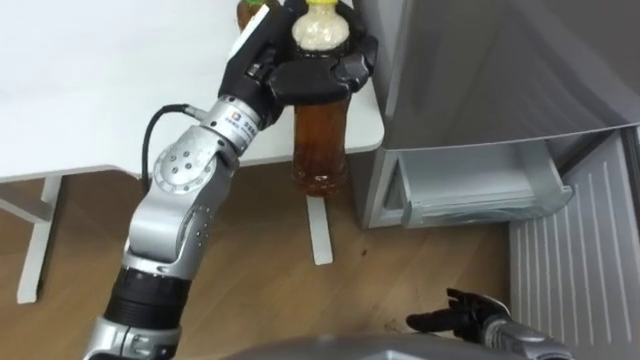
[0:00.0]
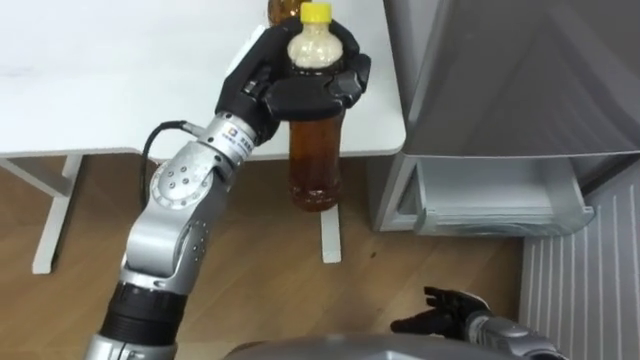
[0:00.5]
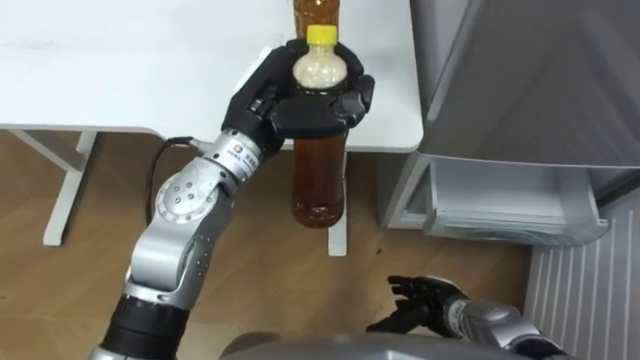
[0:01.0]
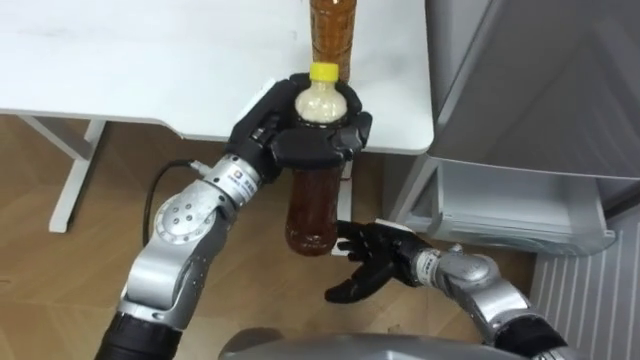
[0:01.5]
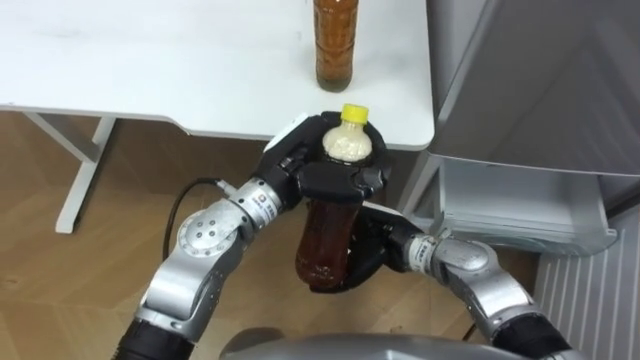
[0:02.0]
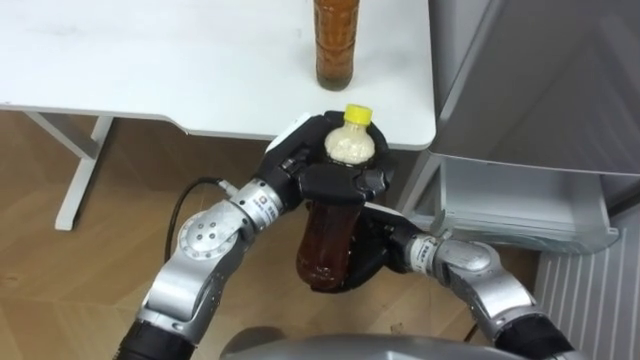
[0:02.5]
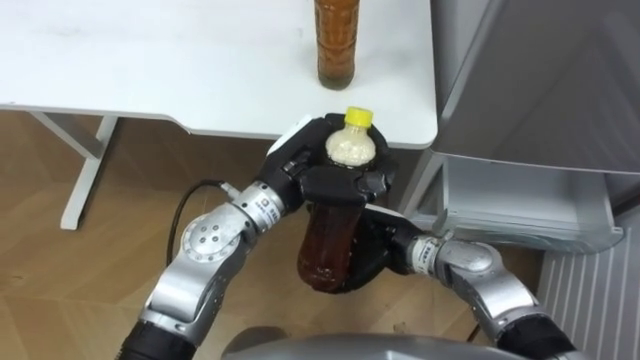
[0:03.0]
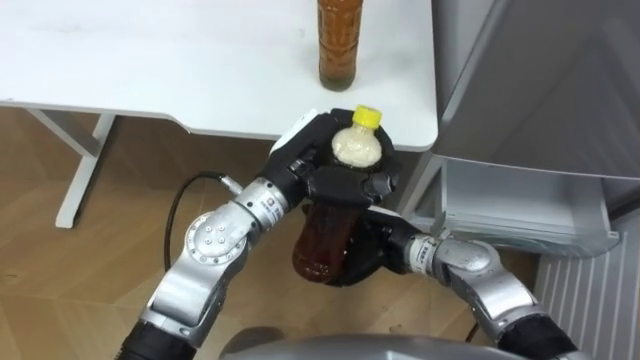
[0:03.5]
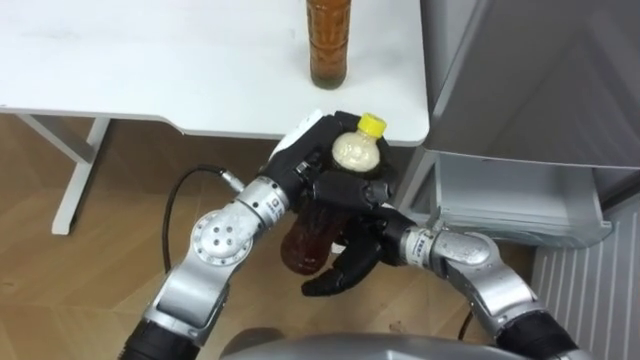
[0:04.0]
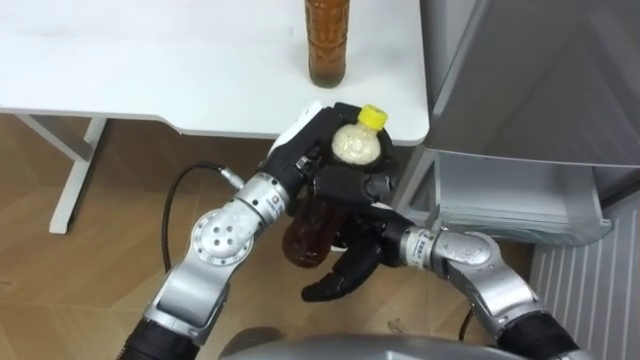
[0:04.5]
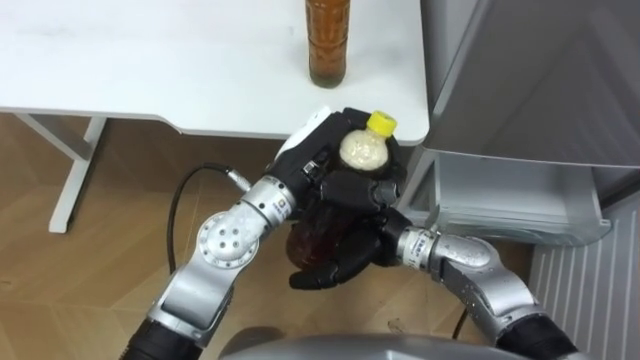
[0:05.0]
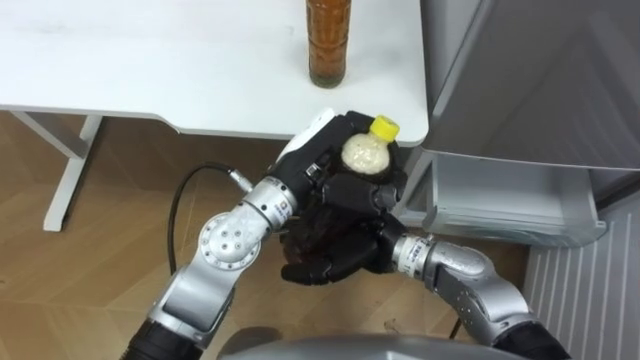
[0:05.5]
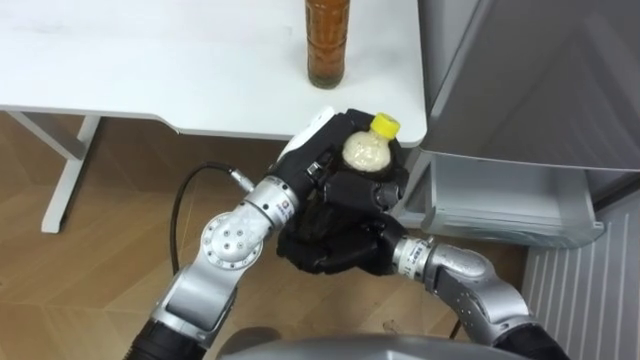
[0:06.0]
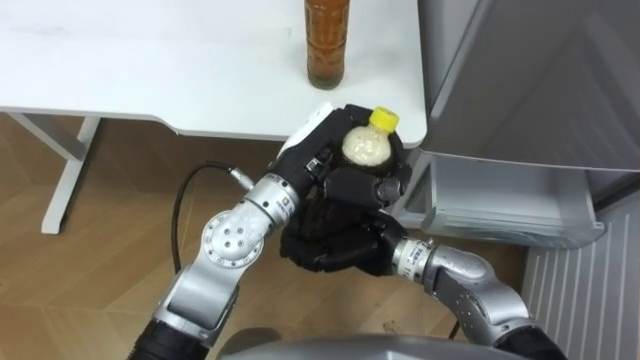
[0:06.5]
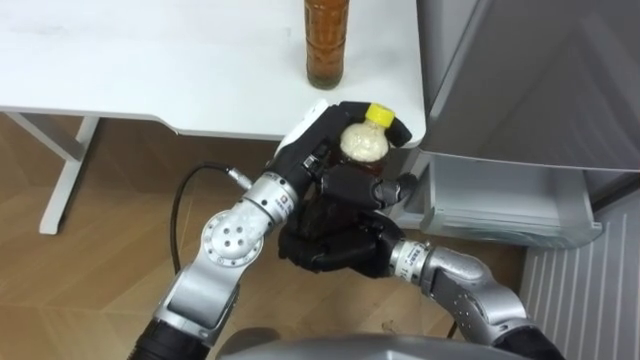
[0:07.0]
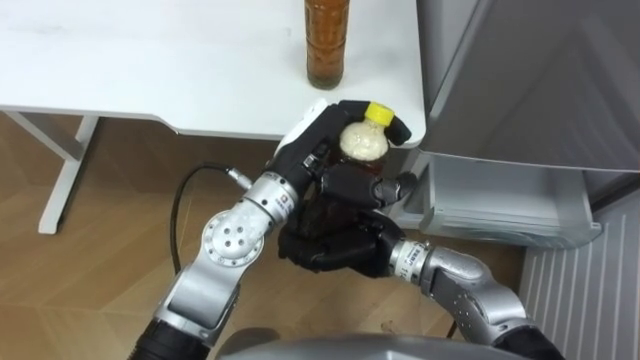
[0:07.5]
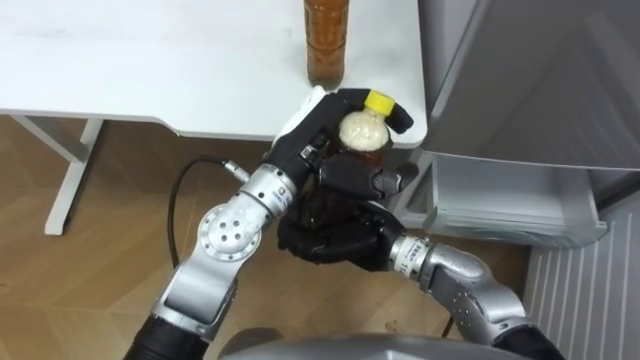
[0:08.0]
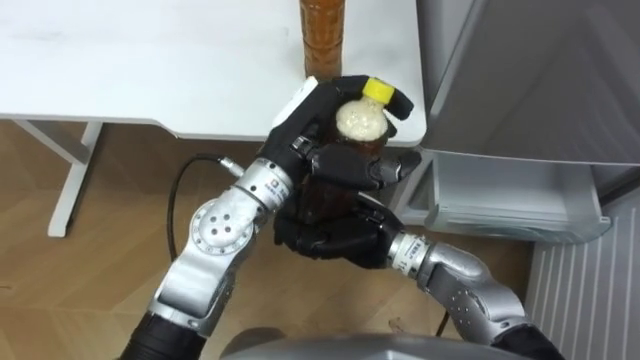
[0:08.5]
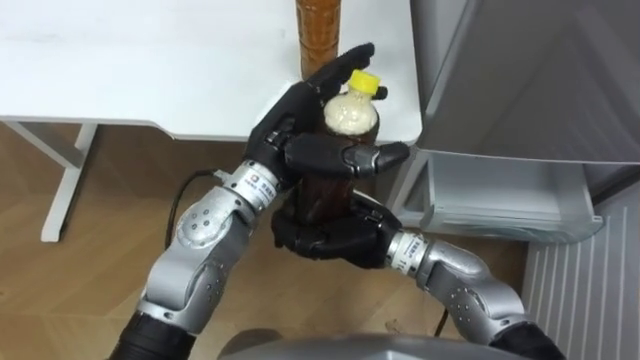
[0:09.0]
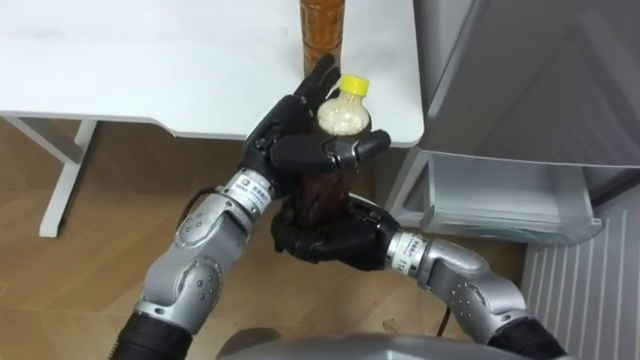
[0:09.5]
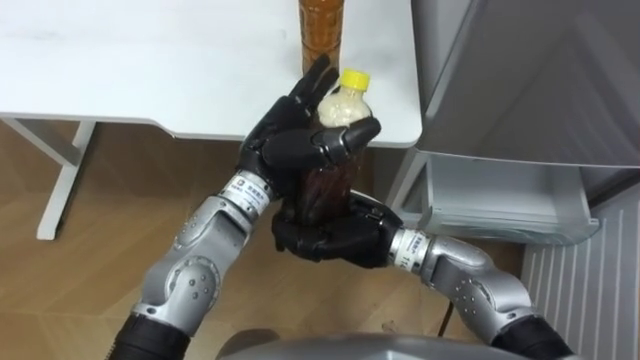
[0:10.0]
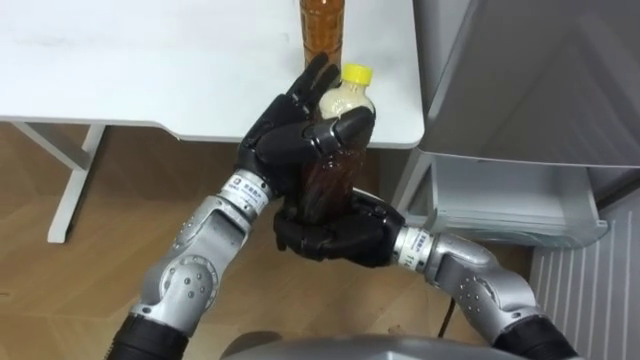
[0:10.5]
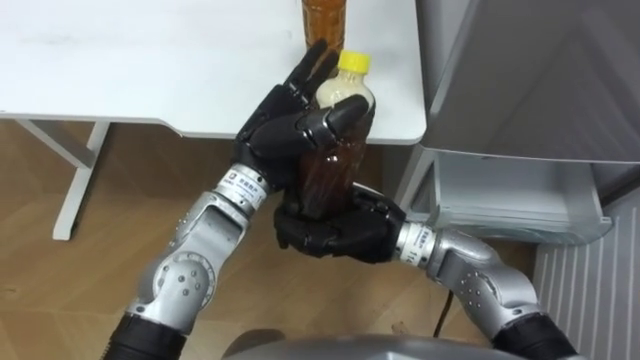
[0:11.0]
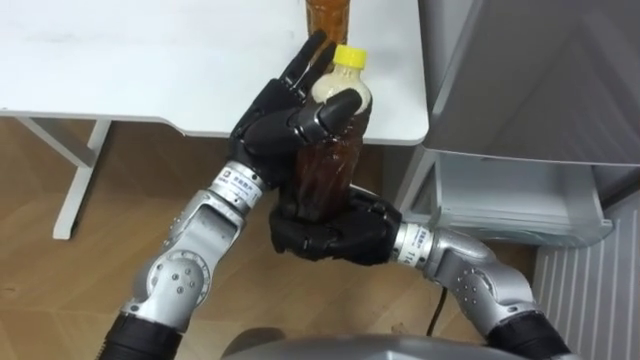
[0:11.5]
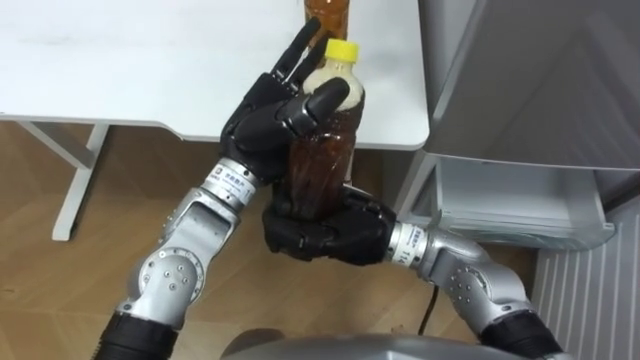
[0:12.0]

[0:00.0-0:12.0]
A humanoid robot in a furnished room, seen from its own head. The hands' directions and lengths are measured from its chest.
Task of the whole recording: Place the drink on the table on the bottom shelf of the refrigerator, then close the drawer and the refrigerator door.
0:00.0 to 0:02.0: The right hand heads to the left, upward and forward, covering roughly 25 cm. The left hand travels downward and backward by about 10 cm.
0:04.0 to 0:06.0: The right hand closes.
0:06.0 to 0:08.0: The hands stay close to where they were, moving slightly.
0:08.0 to 0:10.0: The left hand opens up.

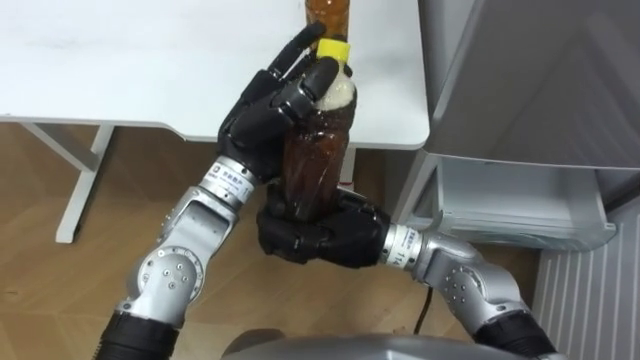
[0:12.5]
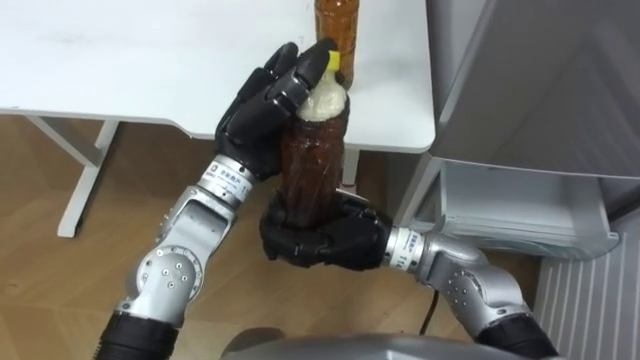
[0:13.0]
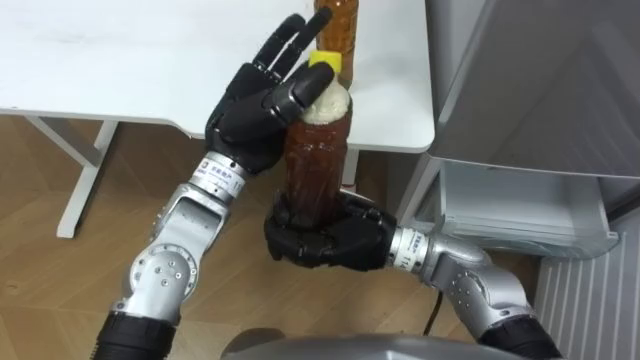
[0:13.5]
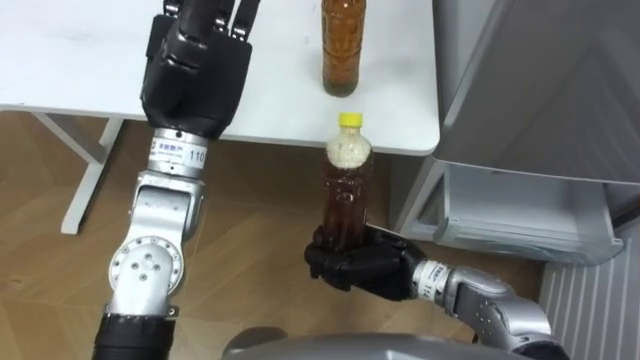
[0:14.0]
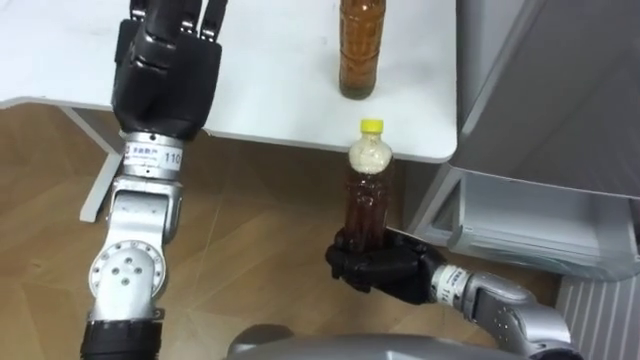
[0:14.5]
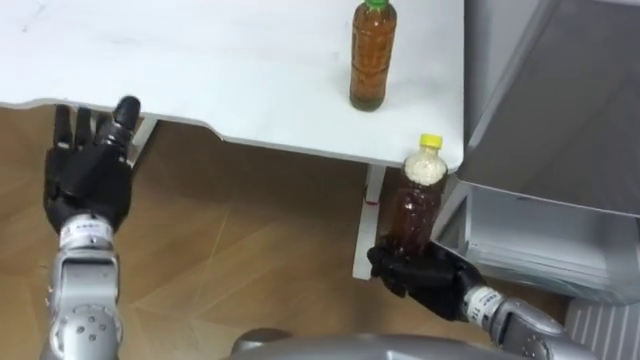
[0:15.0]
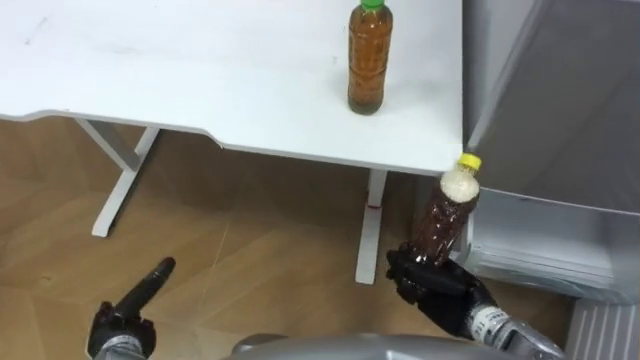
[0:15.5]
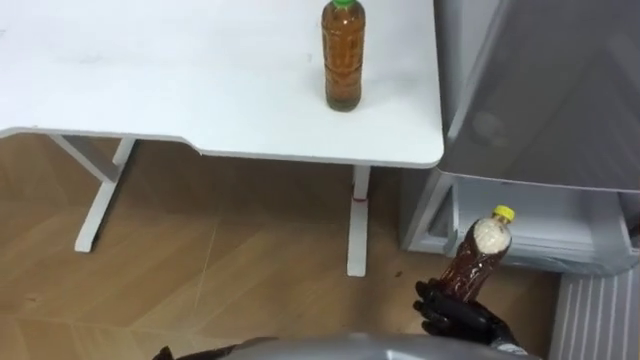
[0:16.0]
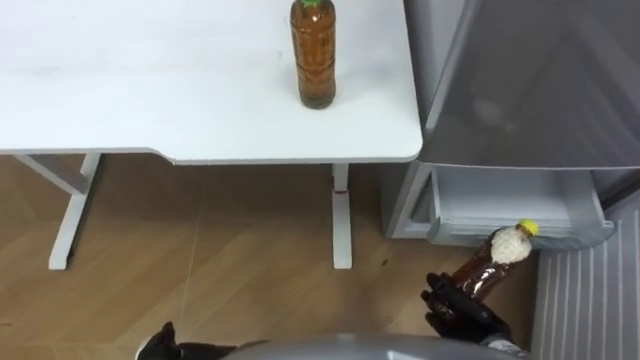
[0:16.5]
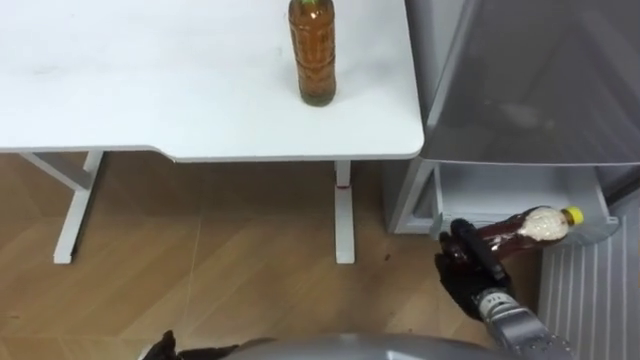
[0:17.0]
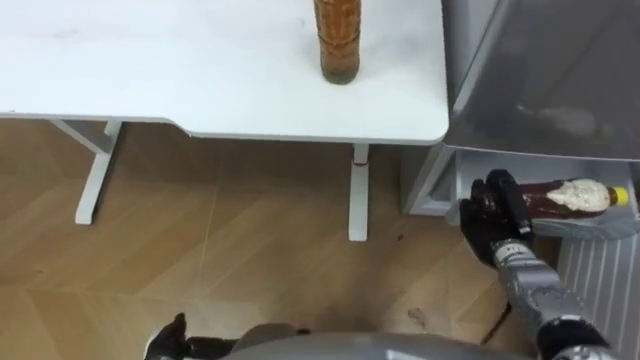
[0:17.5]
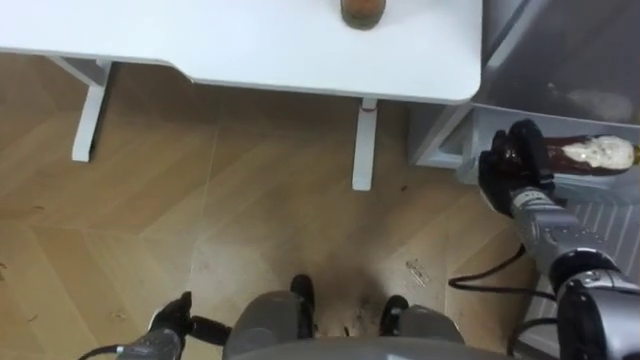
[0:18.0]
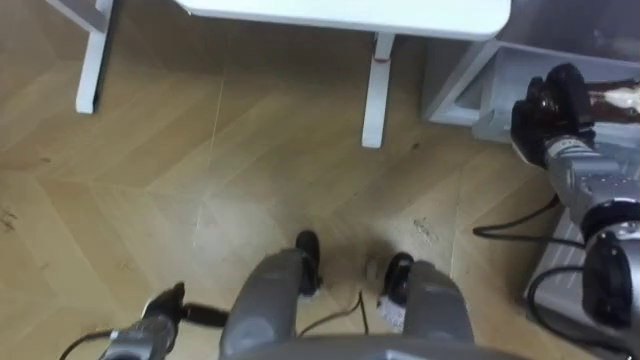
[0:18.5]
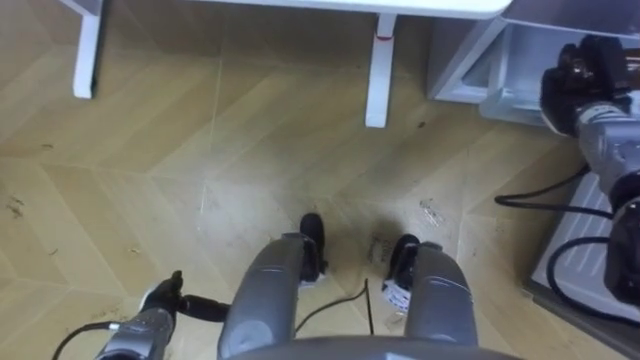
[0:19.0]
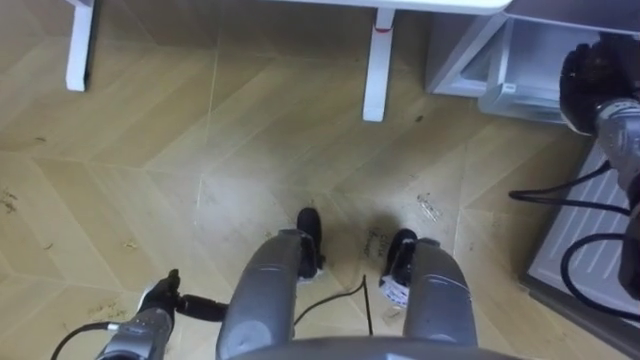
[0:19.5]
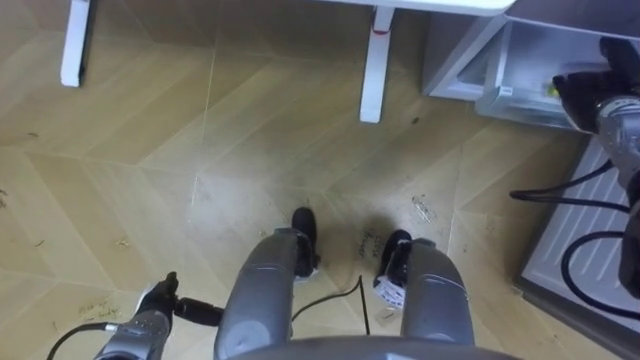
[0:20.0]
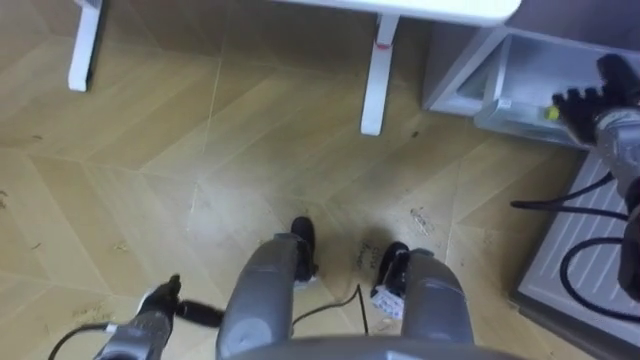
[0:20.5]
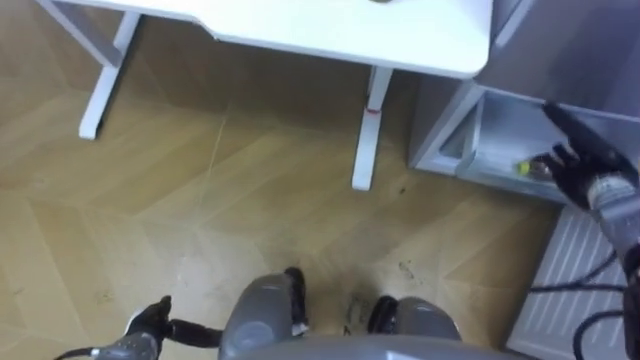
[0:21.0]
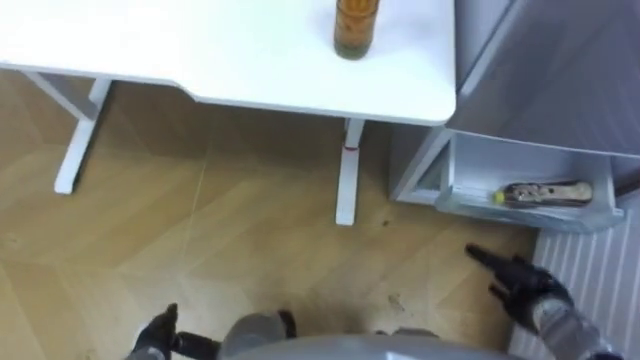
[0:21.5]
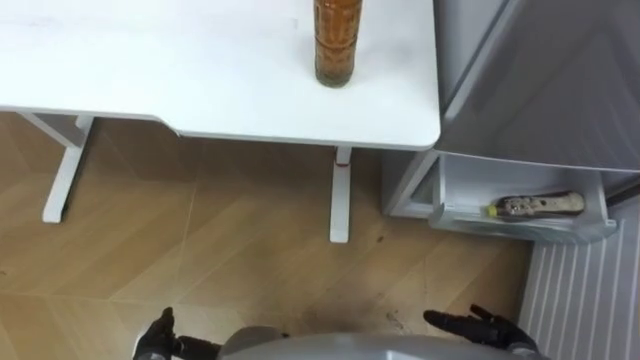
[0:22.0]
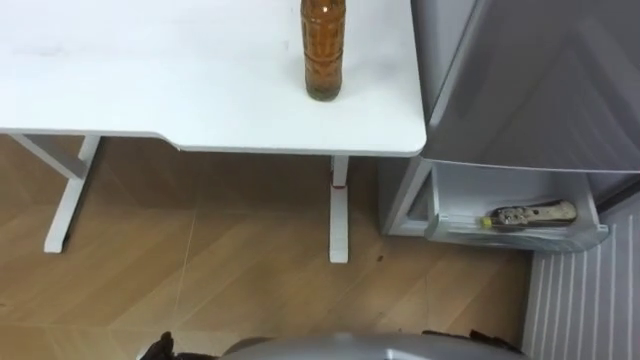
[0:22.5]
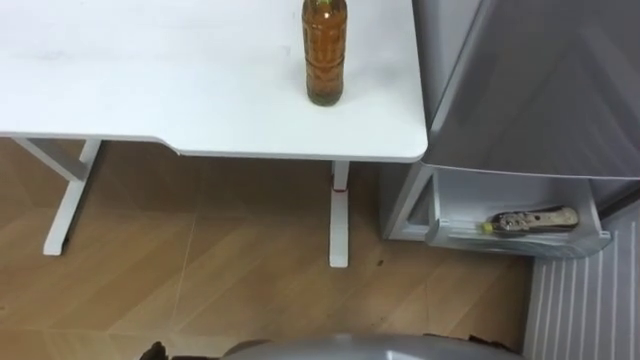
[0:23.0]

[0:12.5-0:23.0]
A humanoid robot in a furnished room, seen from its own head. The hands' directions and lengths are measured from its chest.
Task of the whole recording: Place the drink on the table on the bottom shelf of the refrigerator, then close the drawer and the refrigerator door.
0:12.5 to 0:14.5: The left hand is displaced to the left and upward by some 10 cm, and opens its fingers, while the right hand goes approximately 15 cm downward and to the right.
0:14.5 to 0:16.5: The right hand goes roughly 20 cm to the right, downward and backward.
0:16.5 to 0:19.0: The right hand goes some 35 cm forward, upward and to the right.
0:19.0 to 0:21.0: The right hand moves backward and downward, about 10 cm, and opens its fingers.
